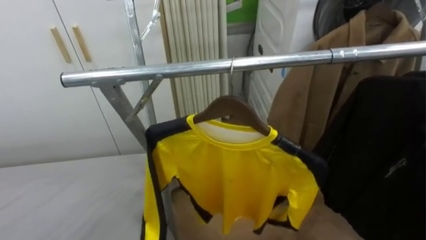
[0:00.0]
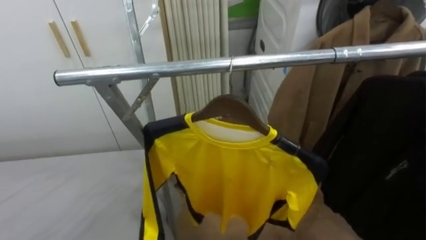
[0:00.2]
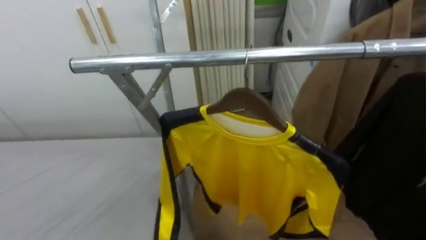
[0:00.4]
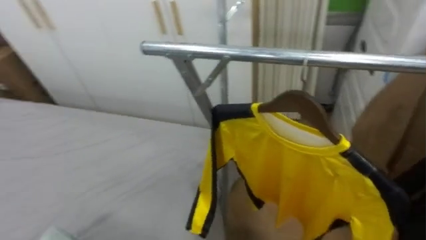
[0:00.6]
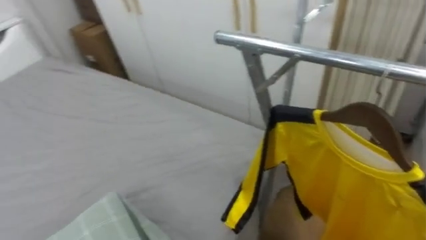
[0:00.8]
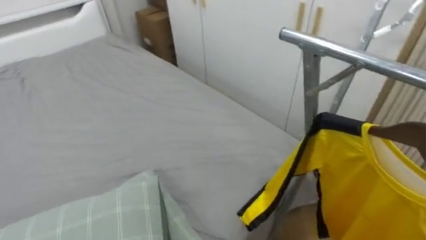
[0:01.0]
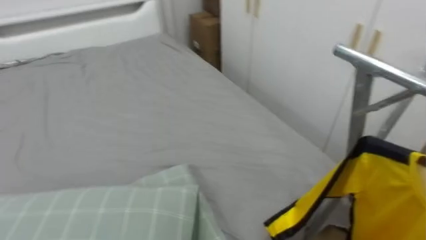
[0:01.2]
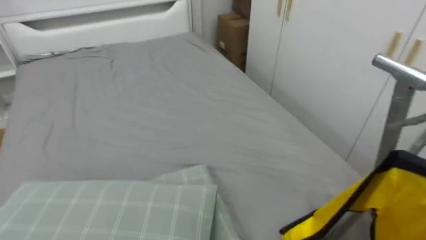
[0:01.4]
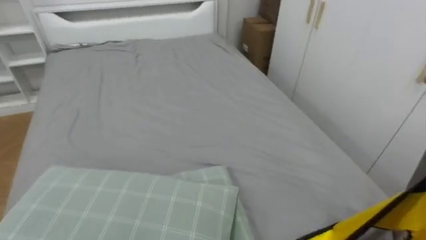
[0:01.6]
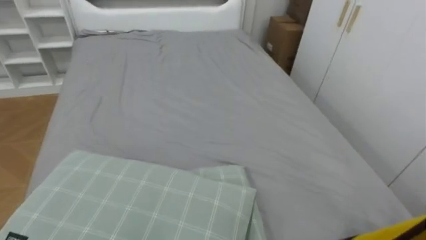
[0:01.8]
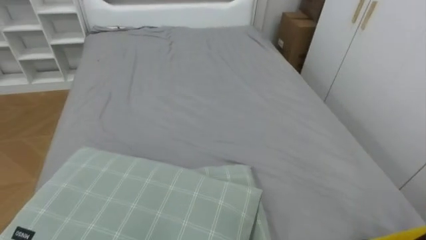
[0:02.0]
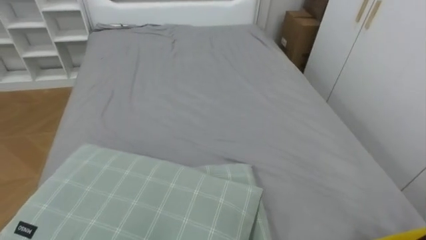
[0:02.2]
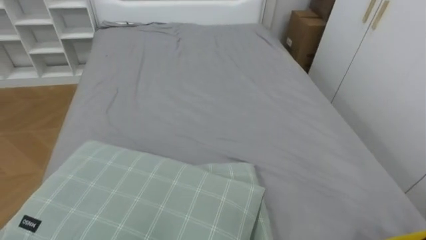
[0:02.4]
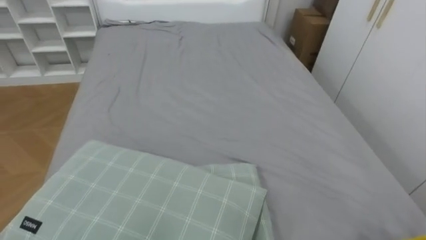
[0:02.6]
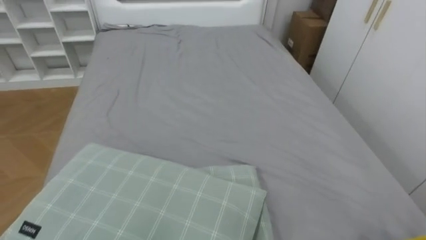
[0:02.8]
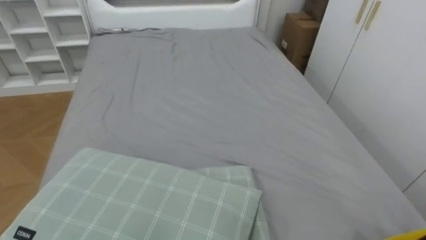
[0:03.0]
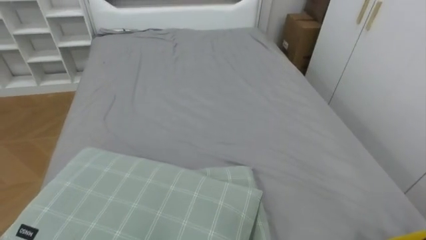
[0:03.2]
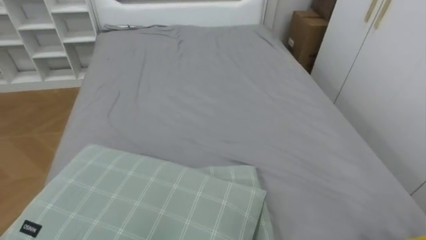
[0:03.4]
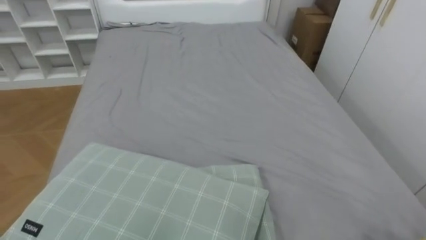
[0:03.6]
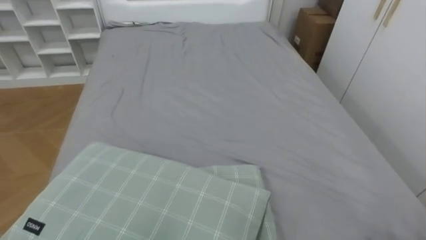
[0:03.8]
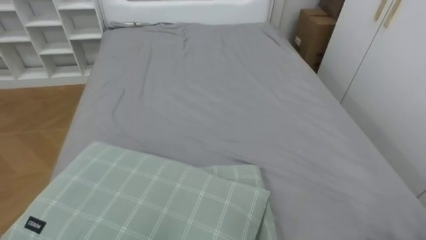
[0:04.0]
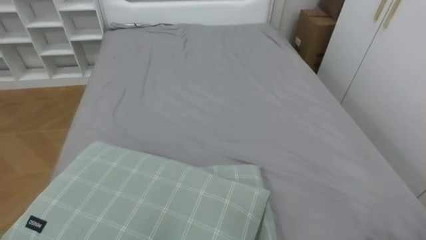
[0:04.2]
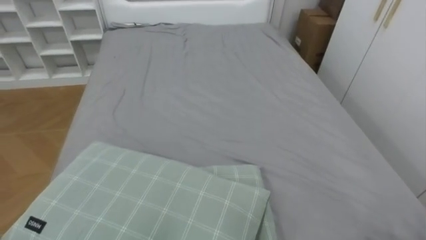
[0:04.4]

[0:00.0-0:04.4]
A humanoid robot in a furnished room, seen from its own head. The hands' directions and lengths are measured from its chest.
Task of the whole recording: Pick up the yellow shirt on the bed and hang it on the clothes rack on the right.
0:00.0 to 0:01.4: The robot's body swings approximately 65 degrees to its left.
0:01.4 to 0:03.0: The robot rotates approximately 20 degrees to its left.

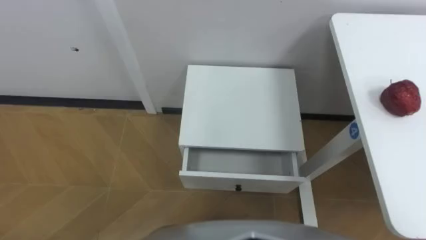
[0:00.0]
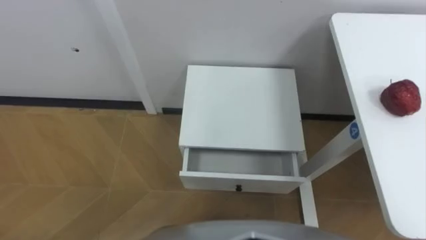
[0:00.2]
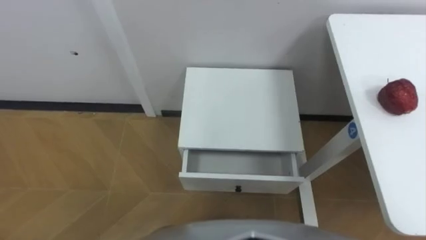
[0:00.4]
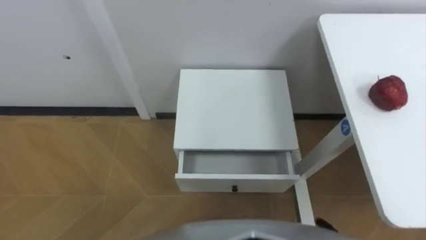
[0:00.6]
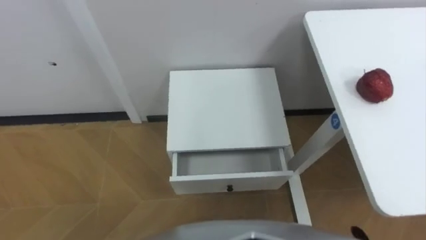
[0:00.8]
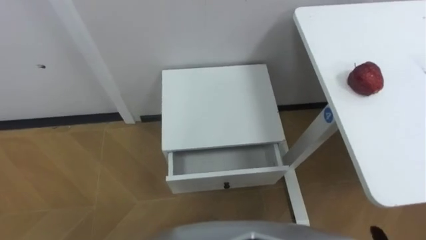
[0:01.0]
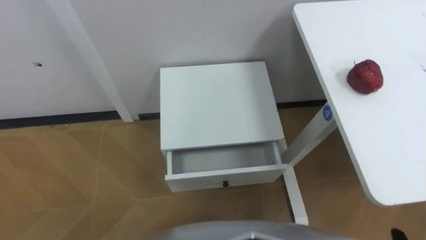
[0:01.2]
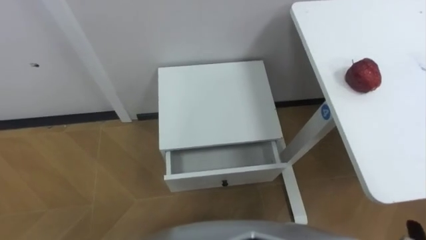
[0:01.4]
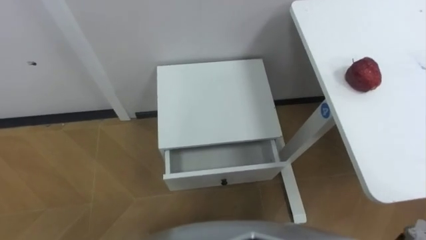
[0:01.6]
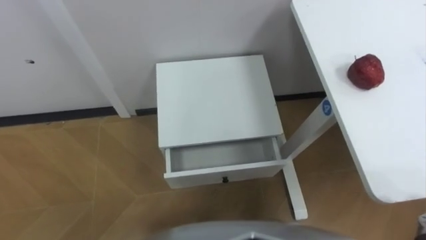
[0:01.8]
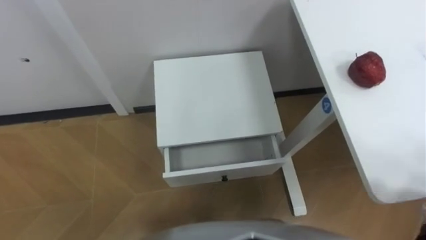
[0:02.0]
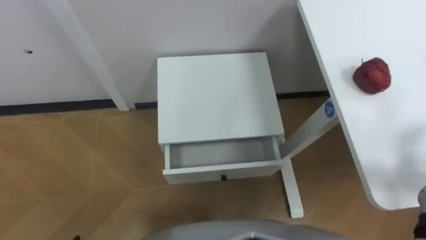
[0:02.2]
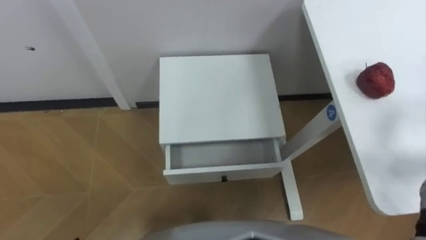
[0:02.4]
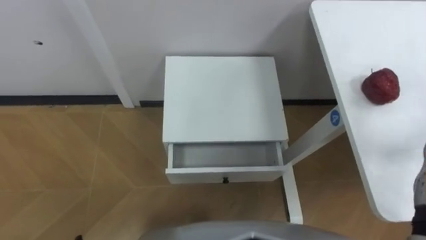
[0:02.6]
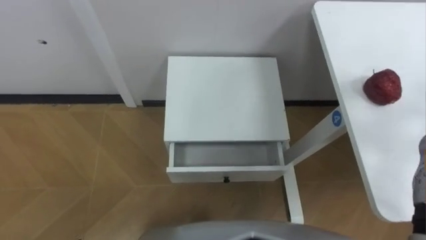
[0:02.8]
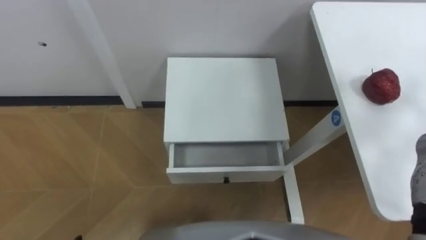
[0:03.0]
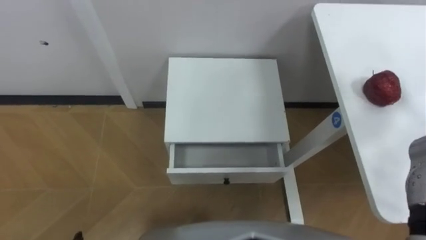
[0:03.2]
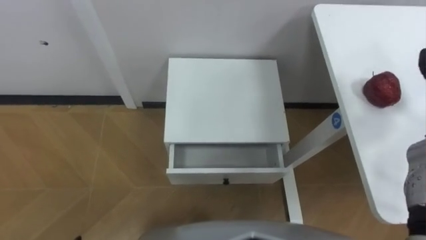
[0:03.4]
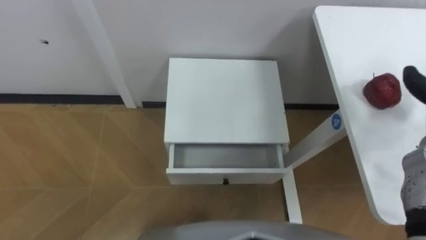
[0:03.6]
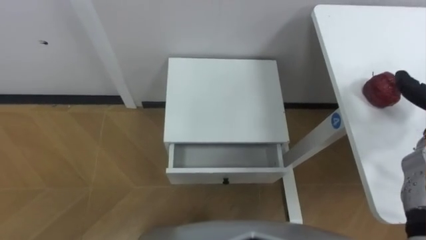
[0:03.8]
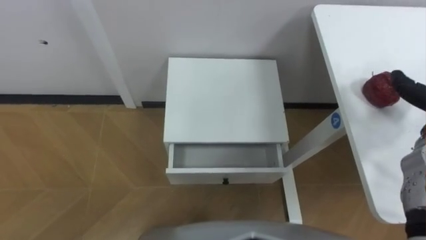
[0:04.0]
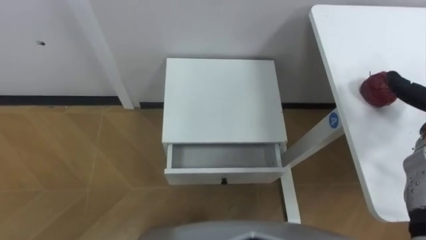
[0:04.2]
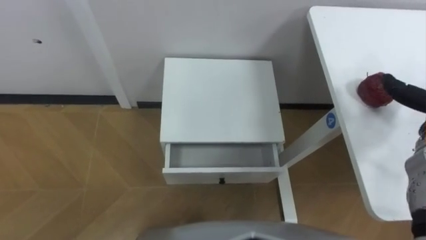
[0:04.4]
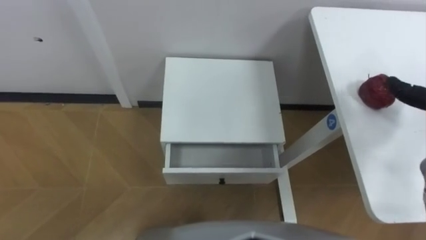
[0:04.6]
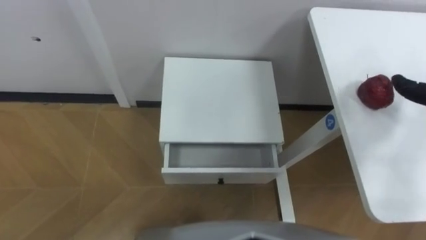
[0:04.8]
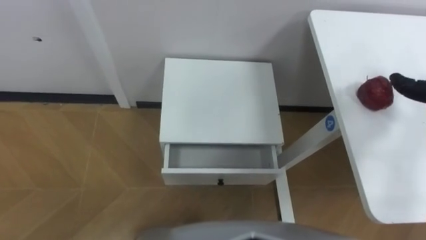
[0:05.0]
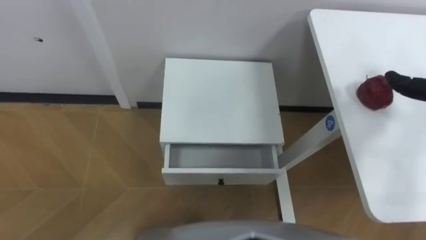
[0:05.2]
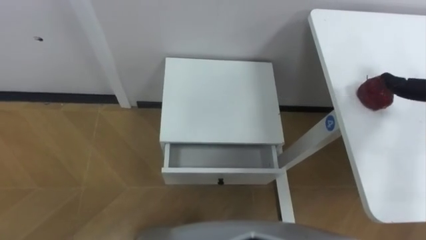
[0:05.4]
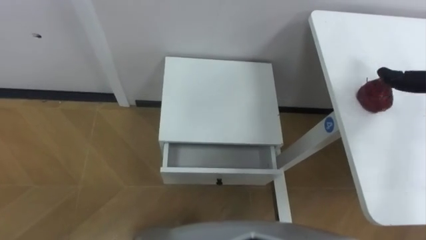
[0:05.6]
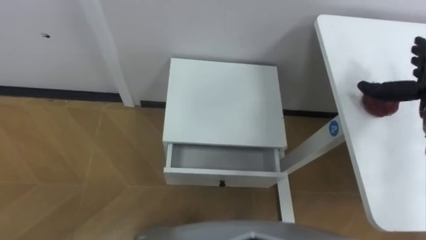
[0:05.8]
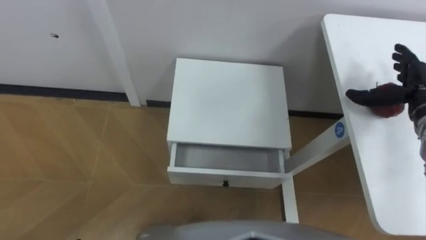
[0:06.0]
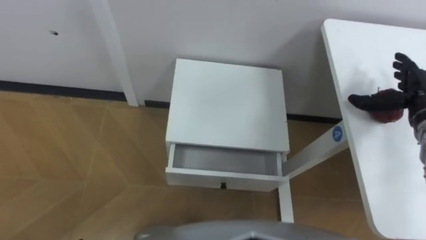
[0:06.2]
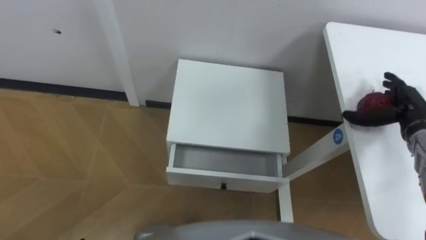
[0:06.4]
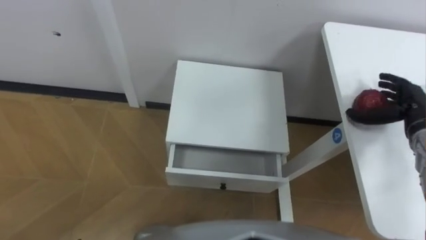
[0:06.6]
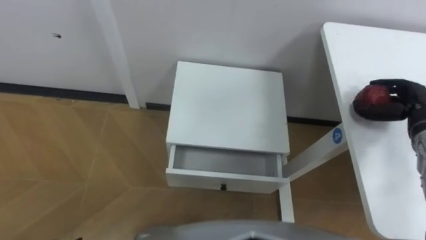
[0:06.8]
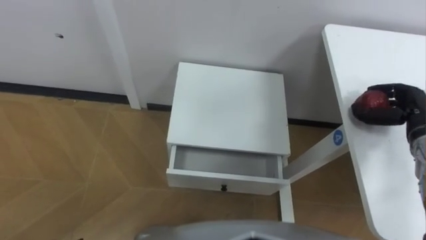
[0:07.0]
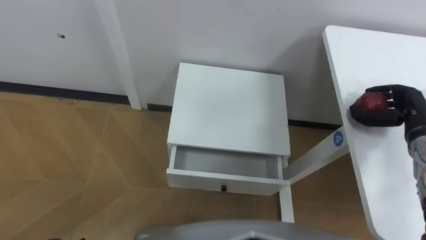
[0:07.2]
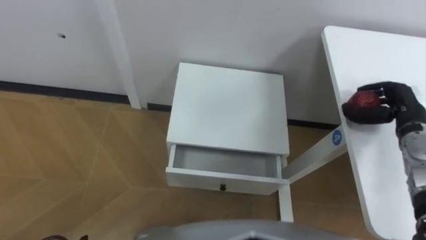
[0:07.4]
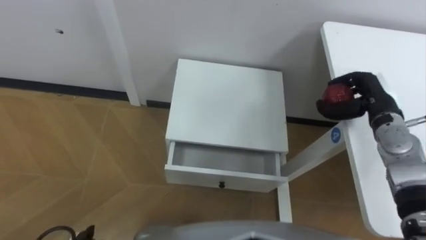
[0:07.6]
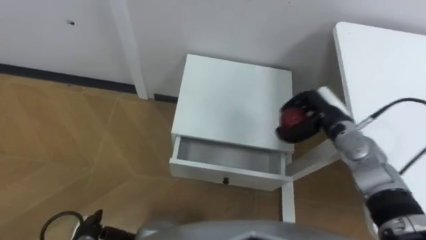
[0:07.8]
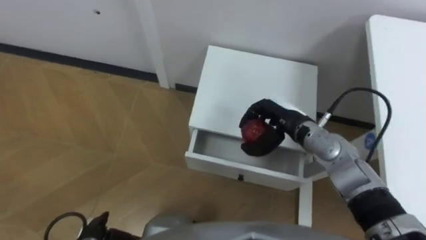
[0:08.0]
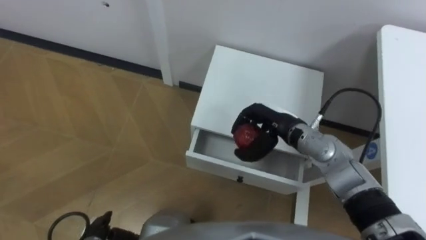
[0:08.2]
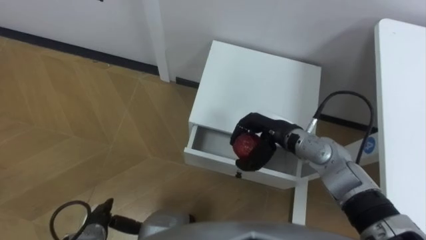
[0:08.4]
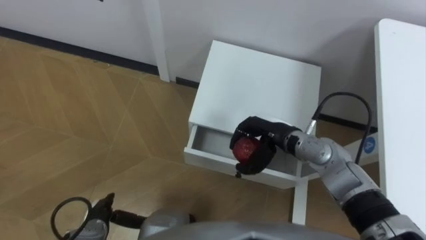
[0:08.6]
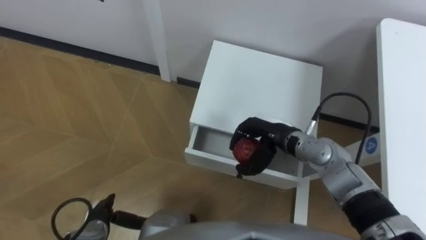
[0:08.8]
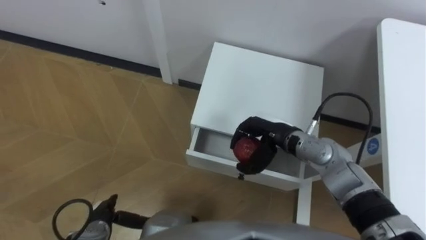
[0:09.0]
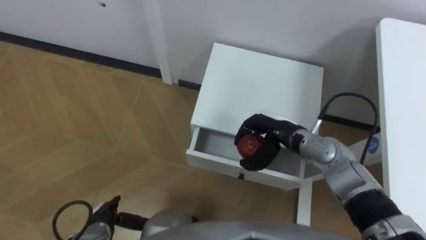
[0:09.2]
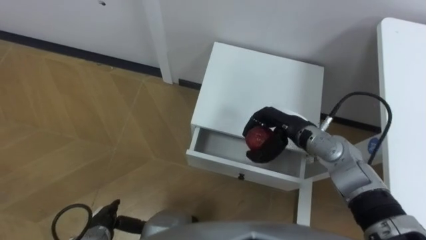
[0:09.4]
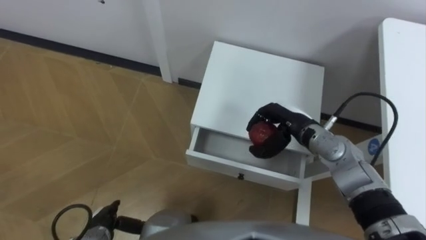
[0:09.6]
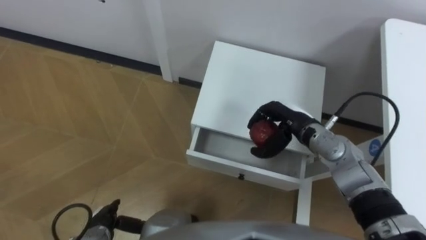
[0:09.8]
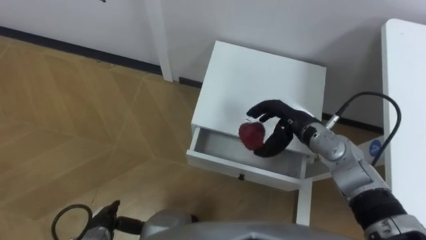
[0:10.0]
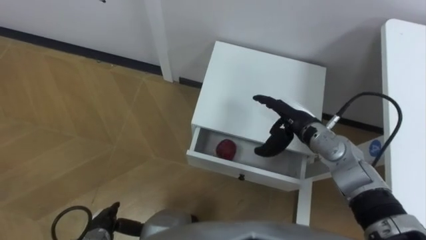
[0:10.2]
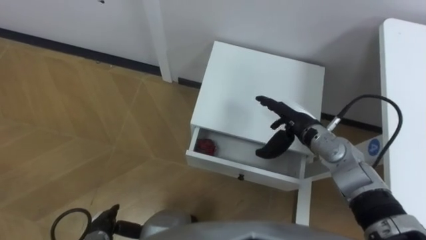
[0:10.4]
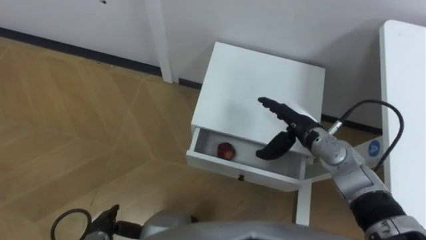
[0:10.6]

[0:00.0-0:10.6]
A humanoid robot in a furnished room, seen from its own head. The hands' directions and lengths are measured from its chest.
Task of the whole recording: Pick up the apple from the table, put it in the drawer, and close the drawer with leg.
0:06.0 to 0:07.6: The right hand travels to the left by some 5 cm, and closes its fingers.
0:07.6 to 0:09.0: The right hand travels to the left by some 20 cm.
0:09.0 to 0:10.6: The right hand goes about 5 cm to the right, and opens up.

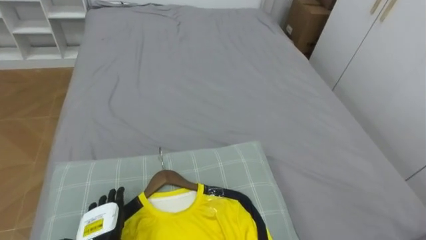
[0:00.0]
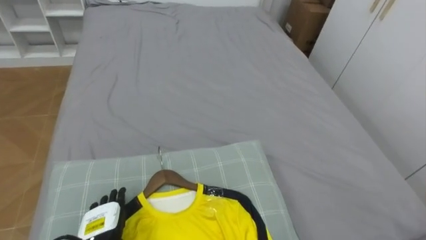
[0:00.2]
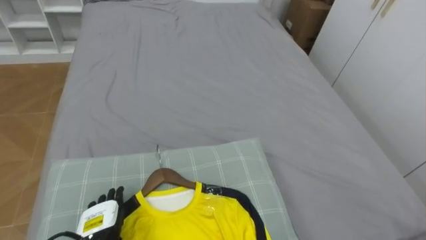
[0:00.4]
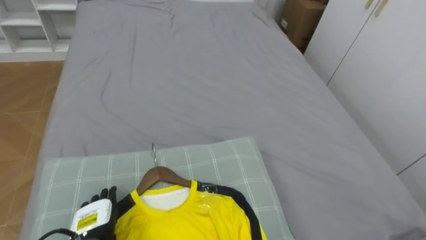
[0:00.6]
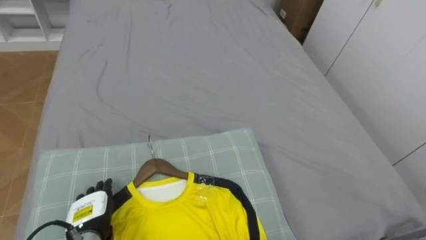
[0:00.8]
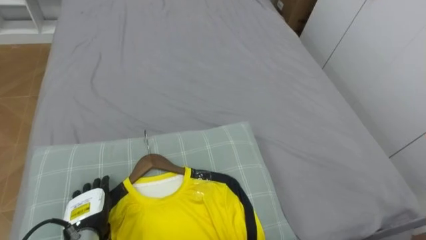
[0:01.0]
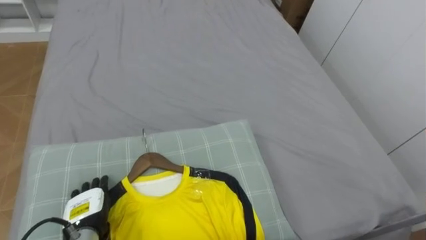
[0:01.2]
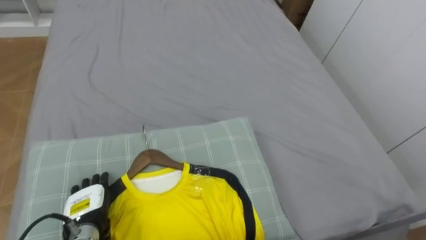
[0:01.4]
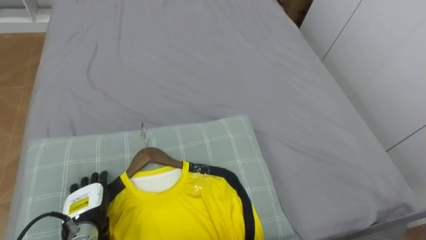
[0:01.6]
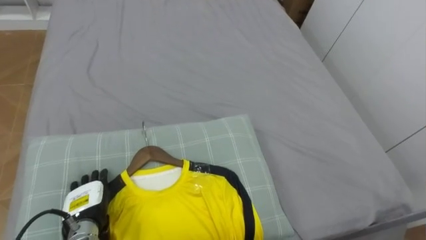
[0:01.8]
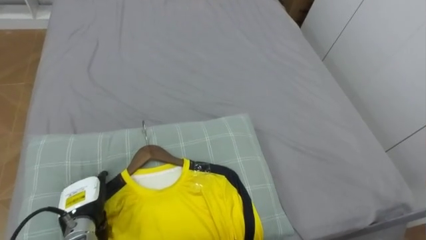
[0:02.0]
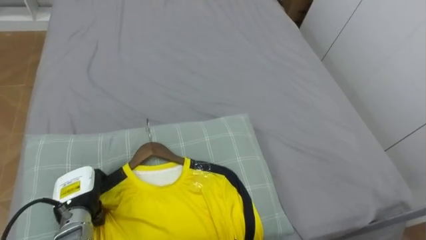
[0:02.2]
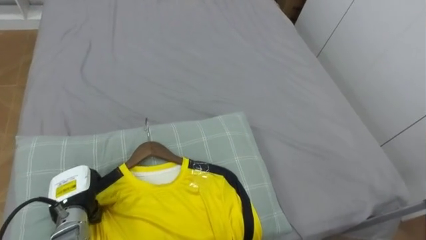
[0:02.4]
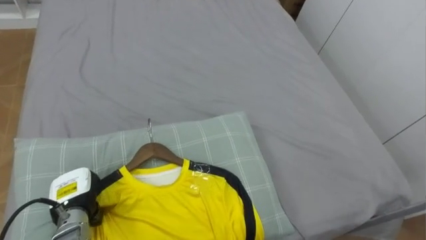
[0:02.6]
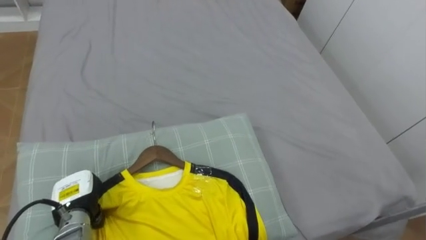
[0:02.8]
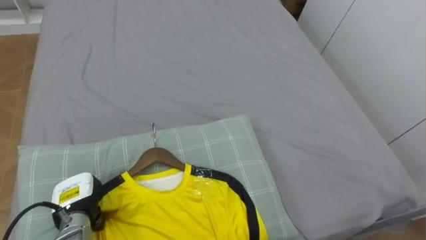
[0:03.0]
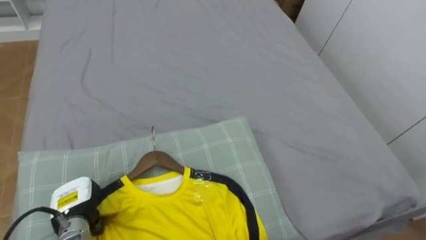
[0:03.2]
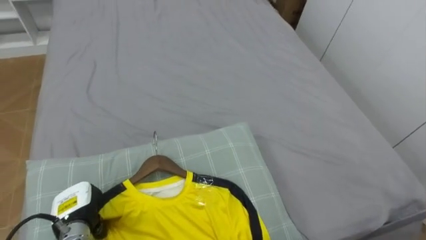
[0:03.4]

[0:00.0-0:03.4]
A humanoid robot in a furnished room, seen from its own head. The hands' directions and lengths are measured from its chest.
Task of the whole recording: Pick up the yellow shirt on the bed and hang it on the clothes rack on the right.
0:00.0 to 0:01.6: The left hand shifts by roughly 5 cm.
0:01.6 to 0:03.4: The left hand closes.
